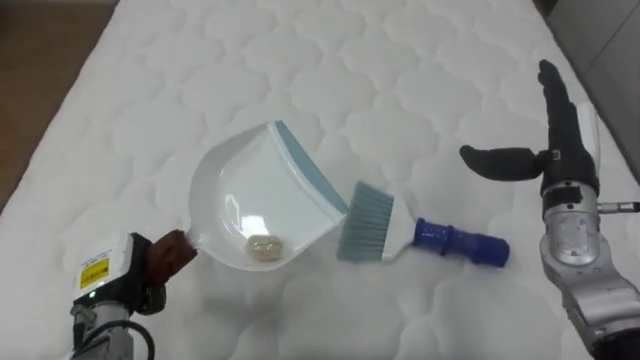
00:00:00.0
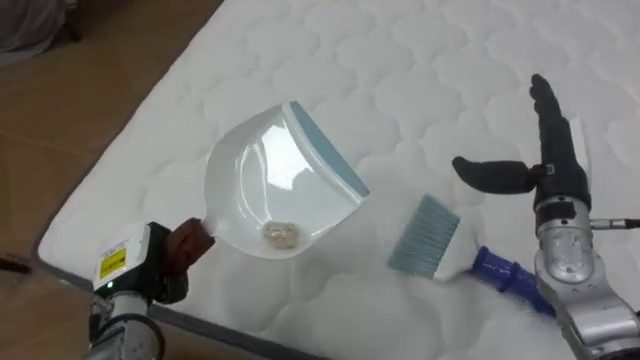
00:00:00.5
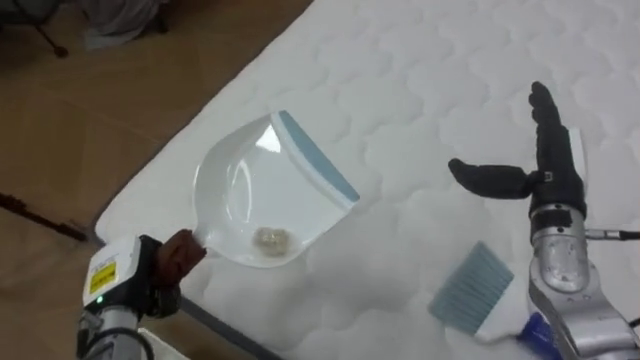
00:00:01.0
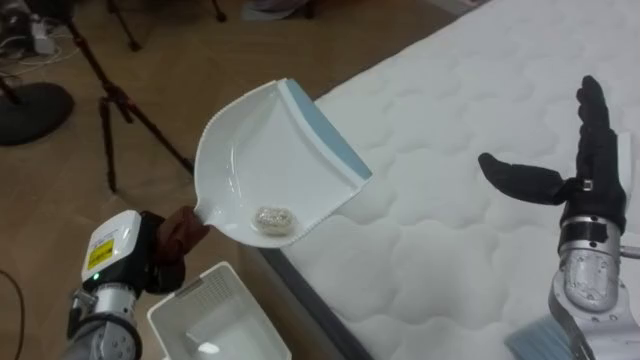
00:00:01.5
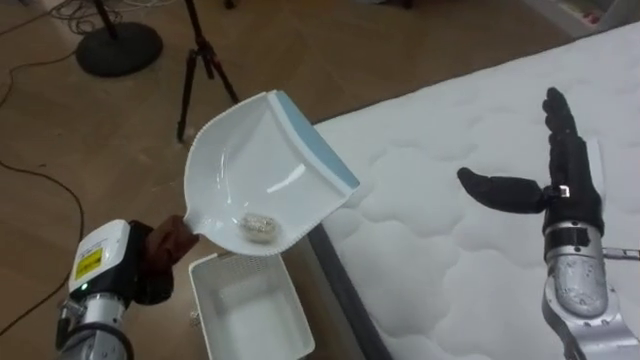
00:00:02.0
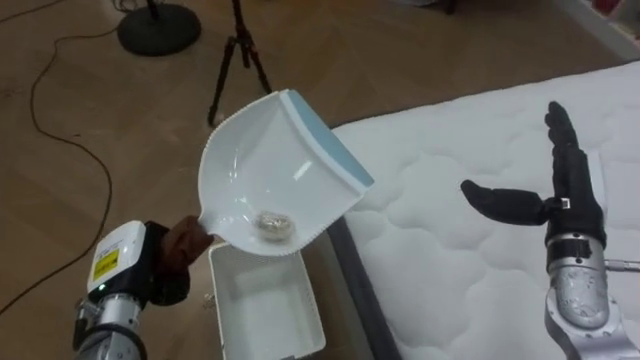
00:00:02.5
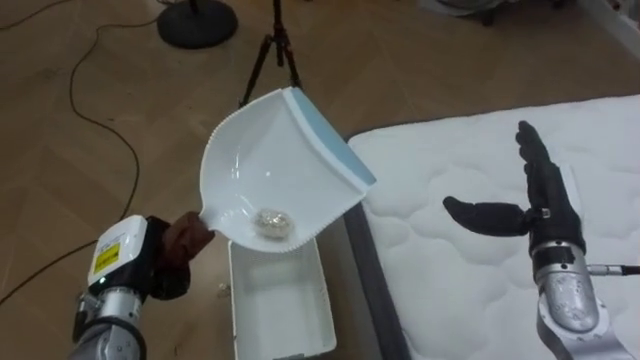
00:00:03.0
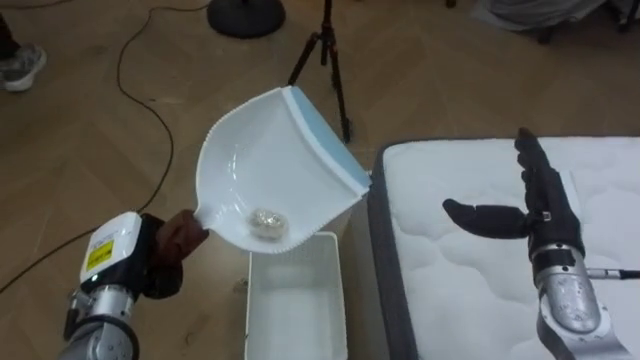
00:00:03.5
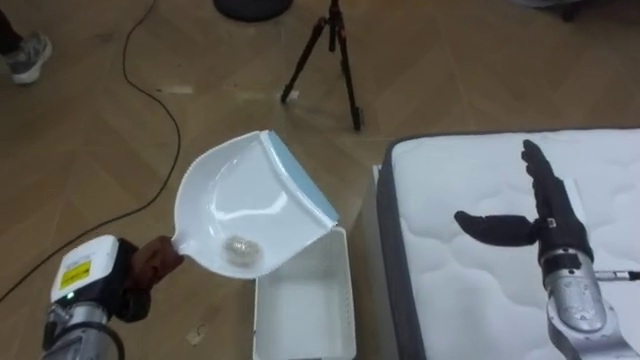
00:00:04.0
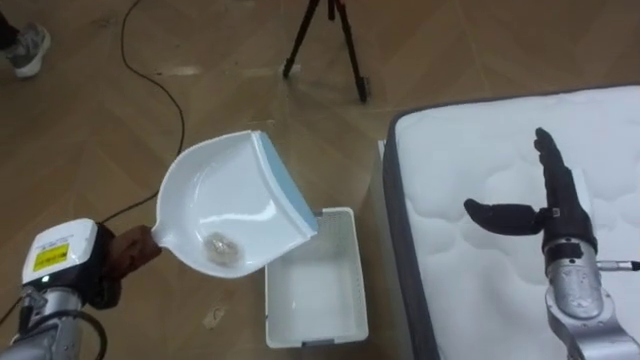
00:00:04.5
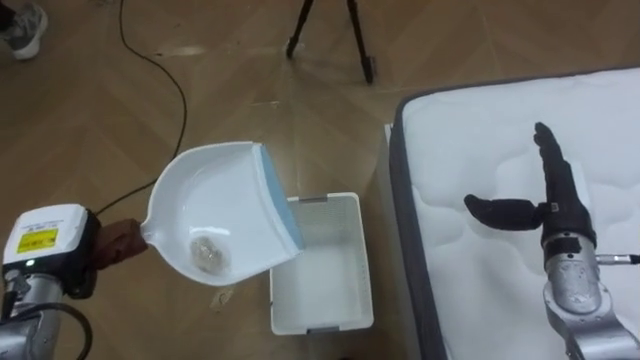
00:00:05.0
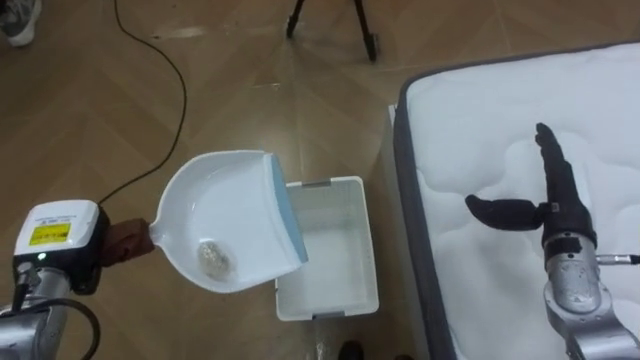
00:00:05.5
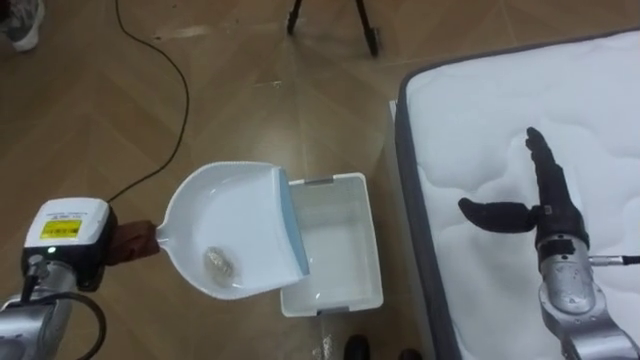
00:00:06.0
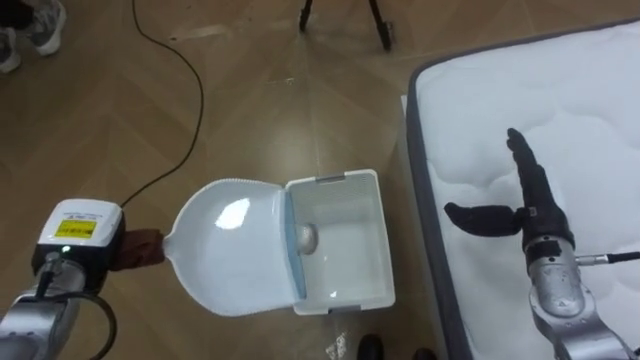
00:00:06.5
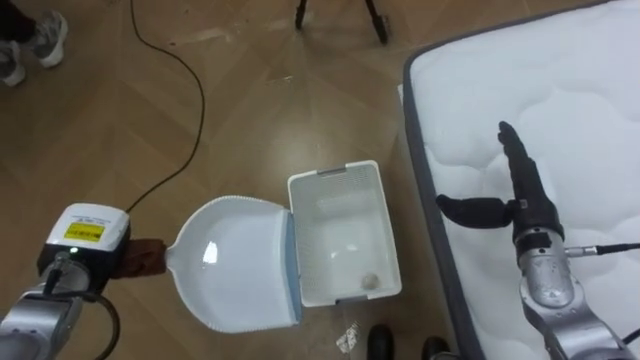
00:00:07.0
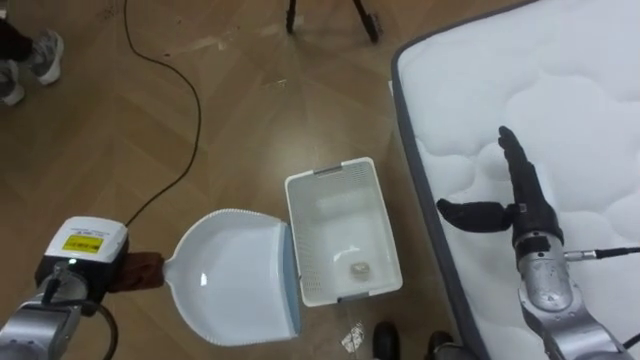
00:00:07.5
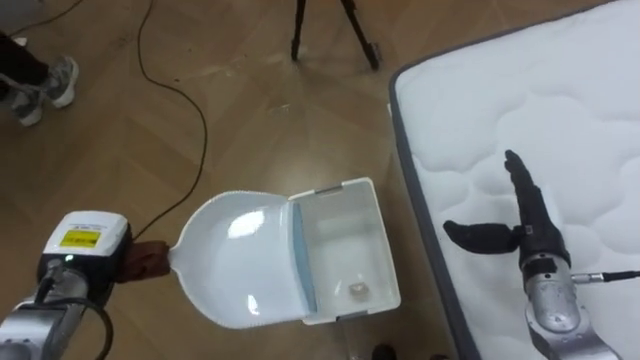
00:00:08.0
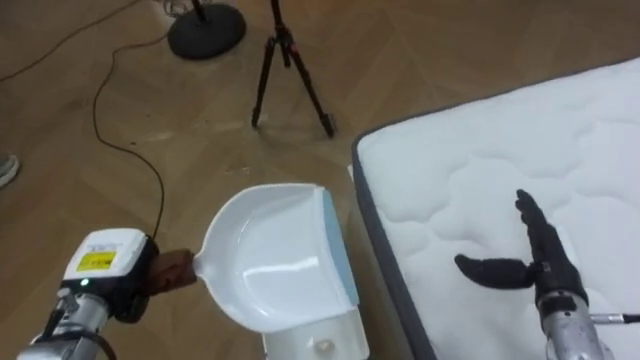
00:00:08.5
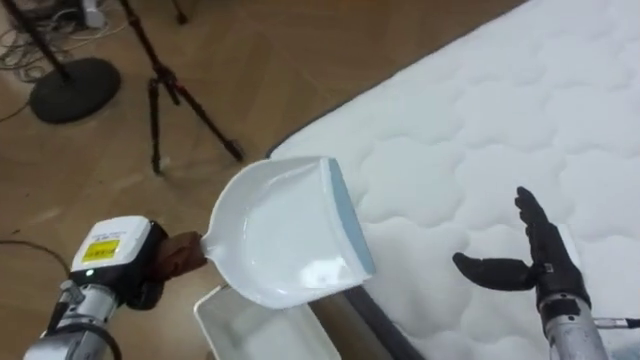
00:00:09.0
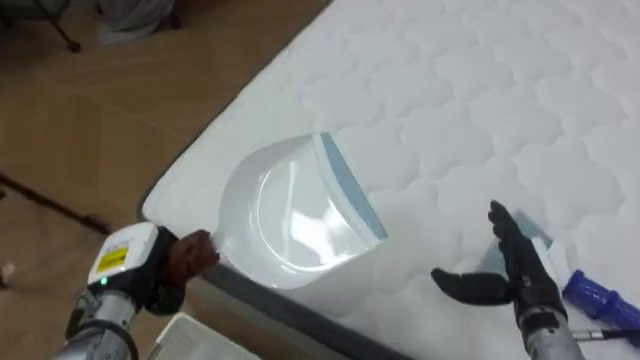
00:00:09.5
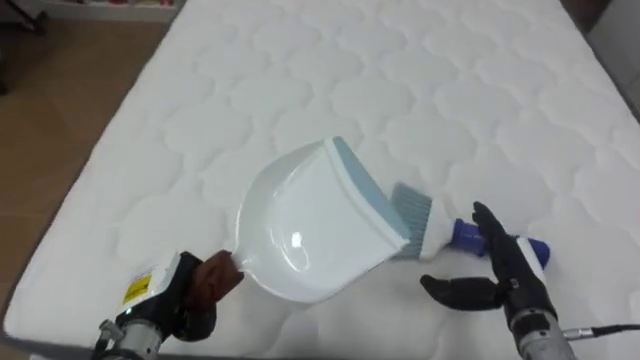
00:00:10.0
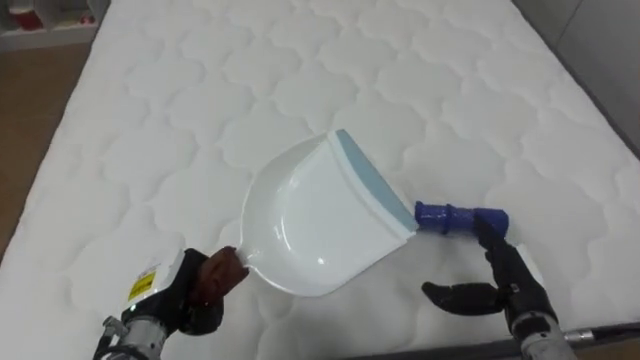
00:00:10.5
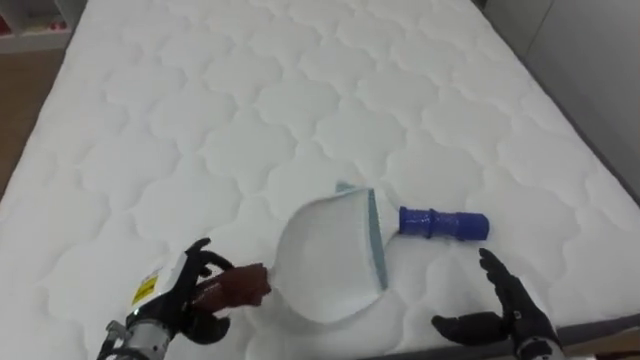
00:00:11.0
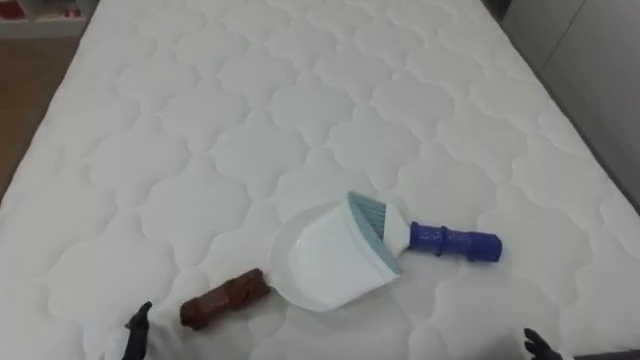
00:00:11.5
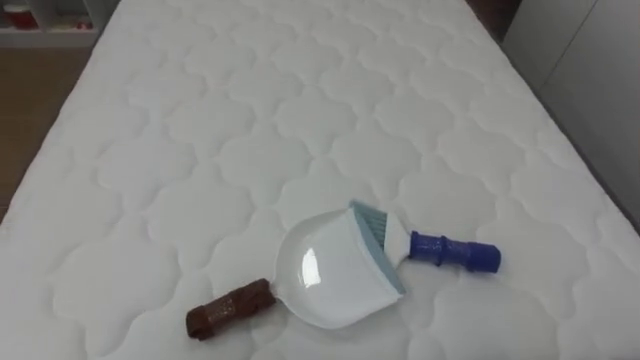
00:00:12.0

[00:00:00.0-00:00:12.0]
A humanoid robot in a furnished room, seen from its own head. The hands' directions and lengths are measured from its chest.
Task of the whole recording: Pick up the brush on your right and the dustpan on your left. Use the brush to sweep the crumpled paper on the bed into the dustpan, then turn left and empty it into the basket.
00:00:00.0 to 00:00:02.0: The robot's body swings some 60 degrees to its left.
00:00:02.0 to 00:00:04.0: The robot faces roughly 25 degrees further to its left. The right hand heads downward, covering some 5 cm.
00:00:04.0 to 00:00:06.0: The left hand changes place by approximately 5 cm.
00:00:08.0 to 00:00:10.0: The robot faces approximately 80 degrees further to its right. The left hand is displaced to the right by approximately 10 cm. Meanwhile the right hand shifts some 5 cm backward.

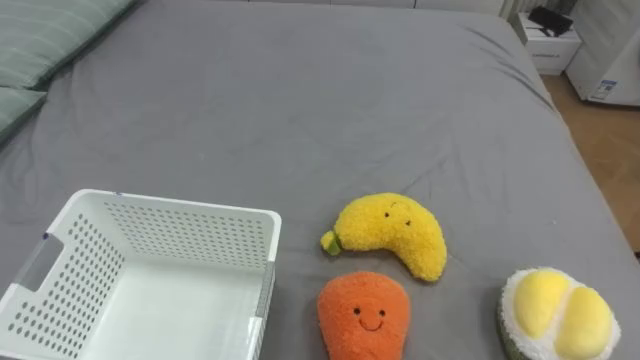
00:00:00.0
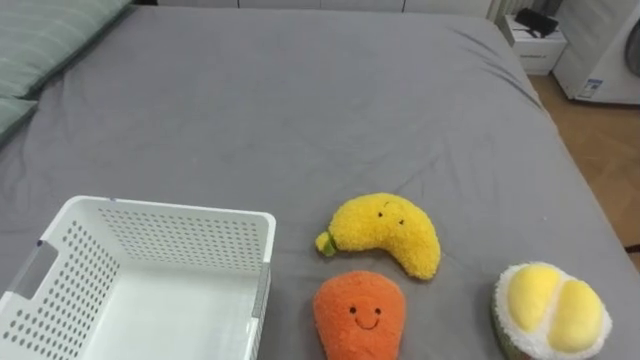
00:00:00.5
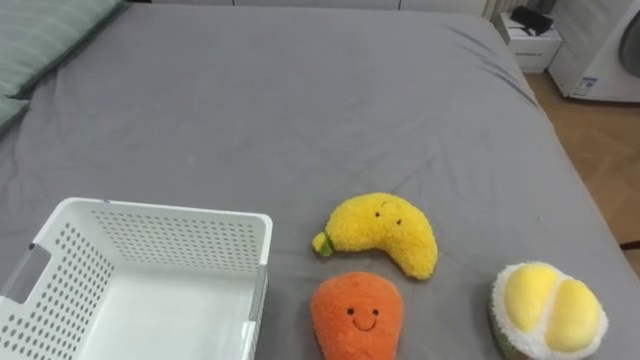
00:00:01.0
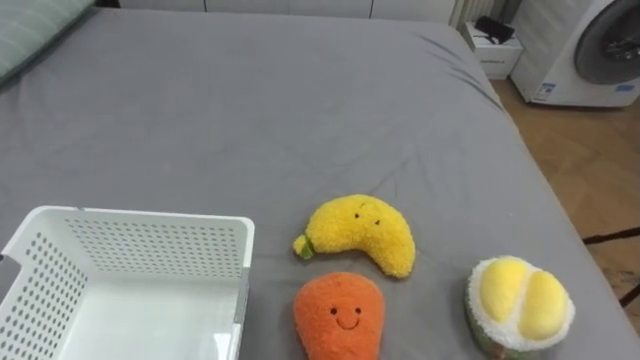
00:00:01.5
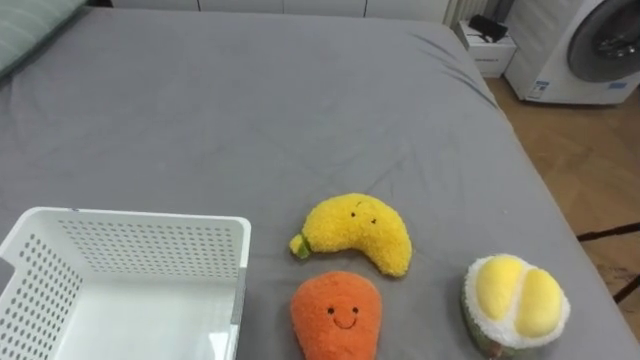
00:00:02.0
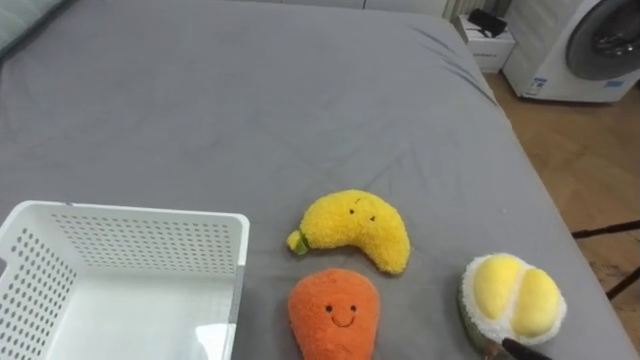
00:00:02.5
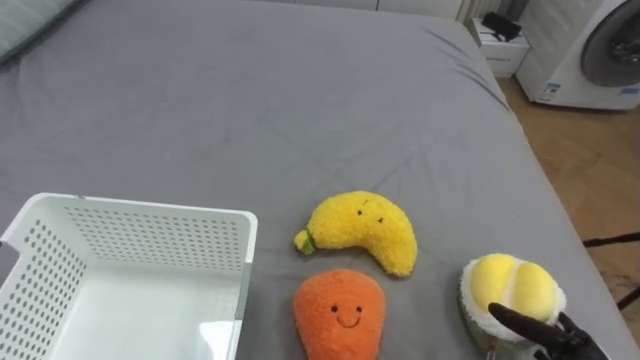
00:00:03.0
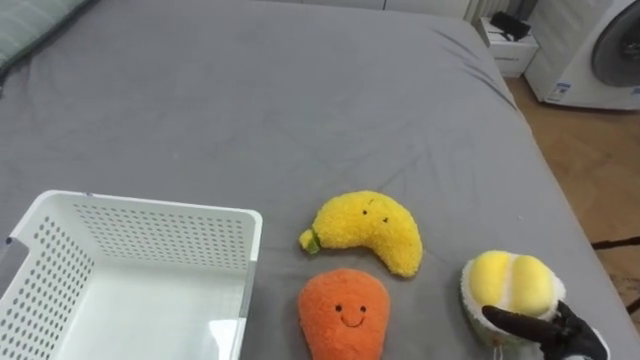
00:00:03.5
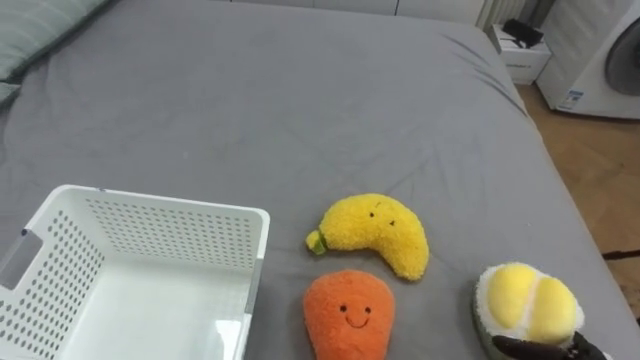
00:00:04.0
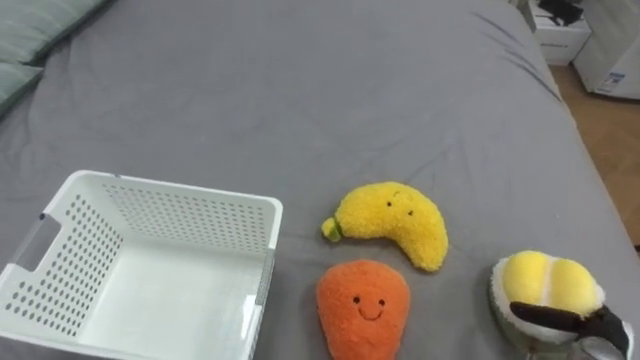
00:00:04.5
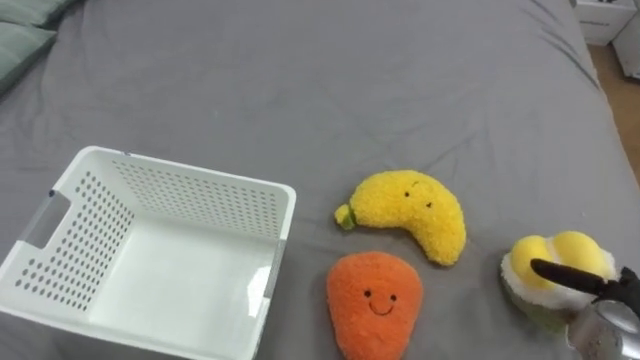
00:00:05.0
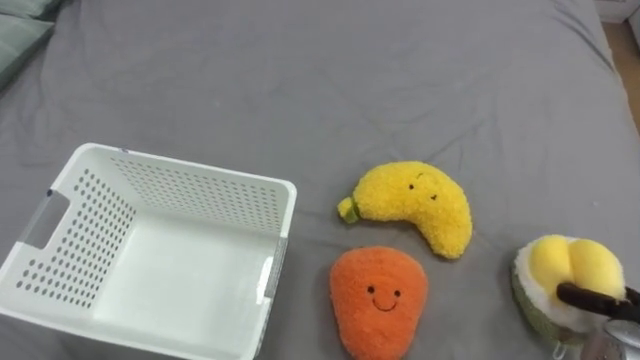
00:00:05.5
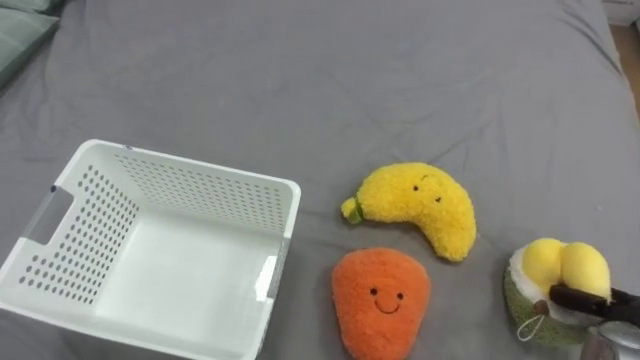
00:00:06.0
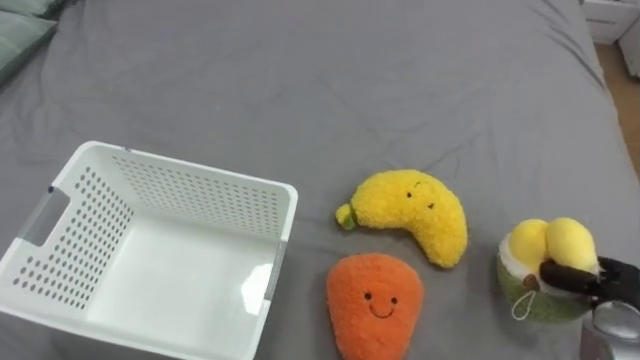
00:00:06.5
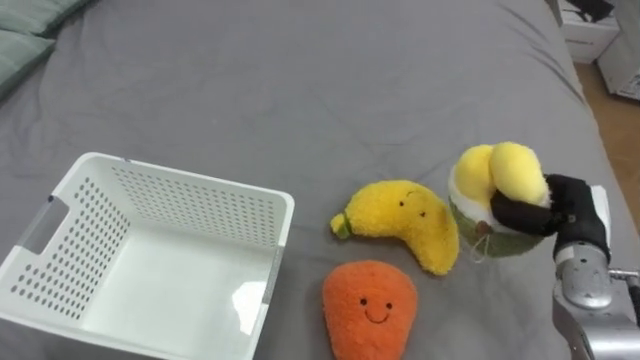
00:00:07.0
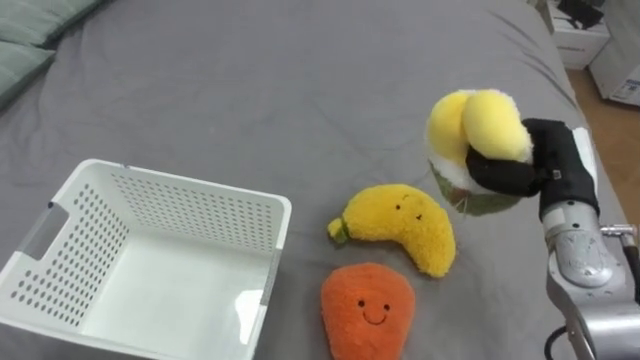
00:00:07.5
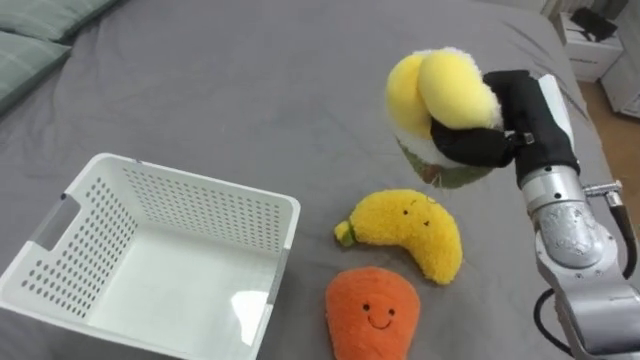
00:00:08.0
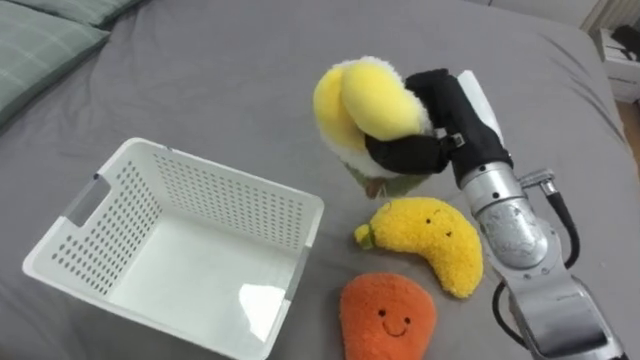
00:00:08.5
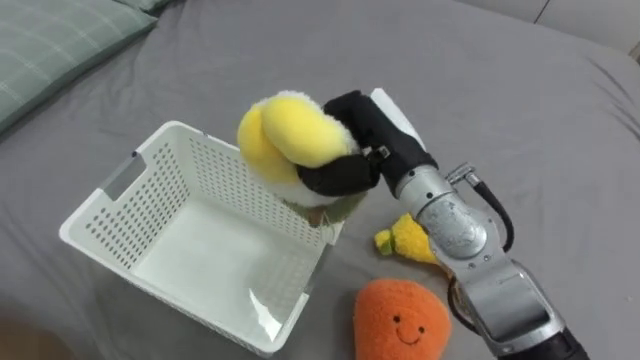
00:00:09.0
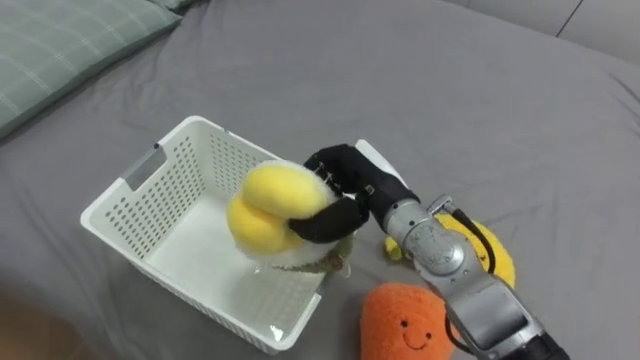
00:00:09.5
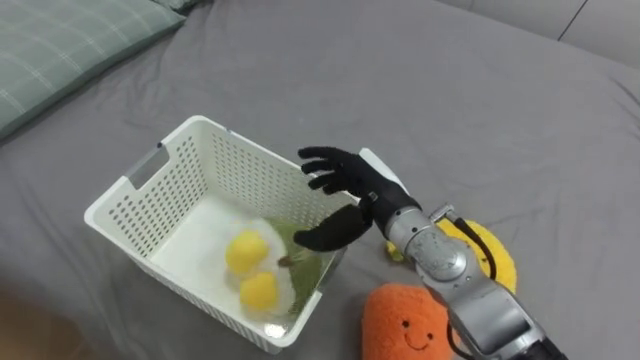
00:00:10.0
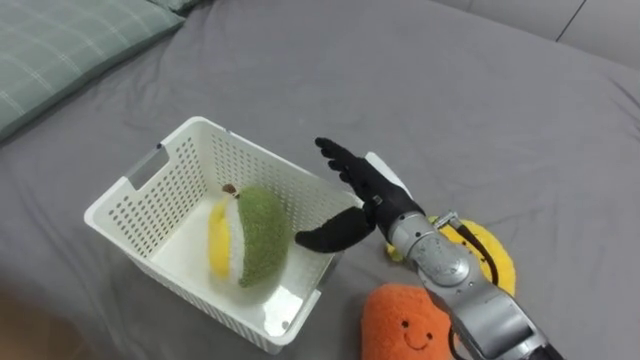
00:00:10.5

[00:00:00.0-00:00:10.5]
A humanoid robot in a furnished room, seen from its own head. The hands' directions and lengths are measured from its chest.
Task of the whole recording: Put the toys on the bed into the basket on the left.
00:00:06.5 to 00:00:08.5: The right hand heads to the left, upward and forward, covering approximately 35 cm.
00:00:08.5 to 00:00:10.5: The right hand shifts approximately 15 cm downward and to the left, and opens its fingers.
